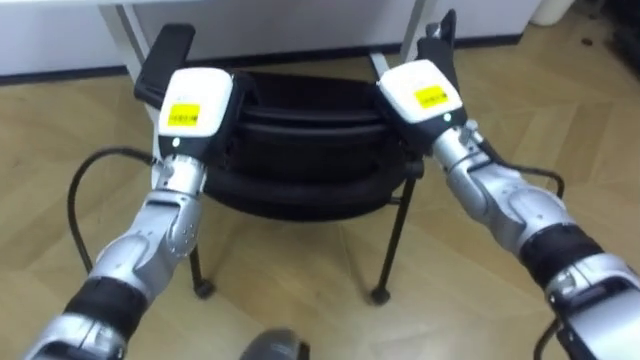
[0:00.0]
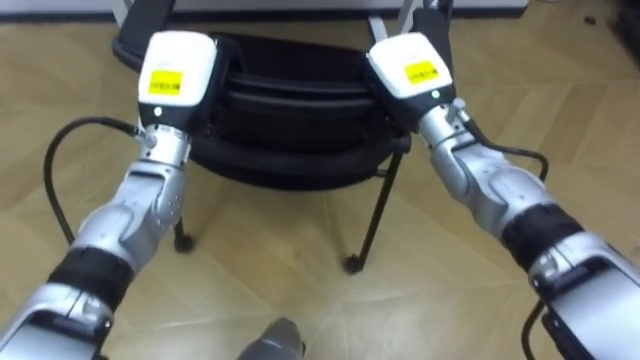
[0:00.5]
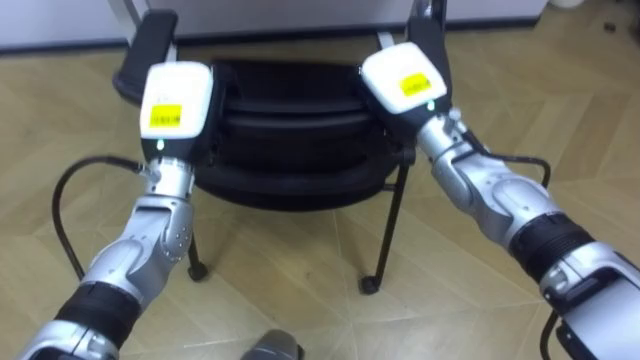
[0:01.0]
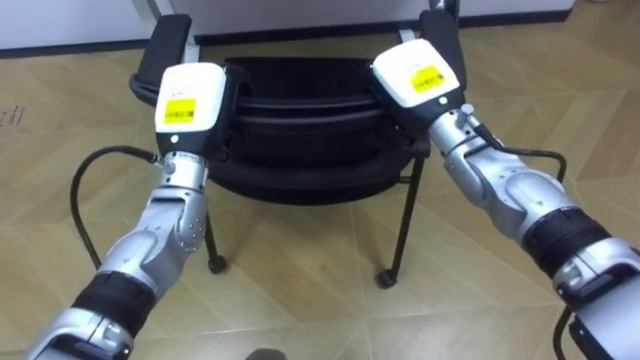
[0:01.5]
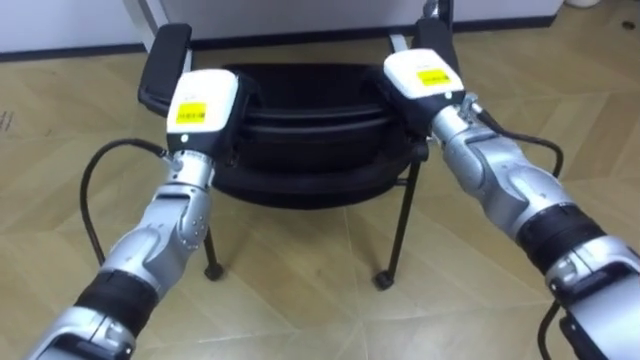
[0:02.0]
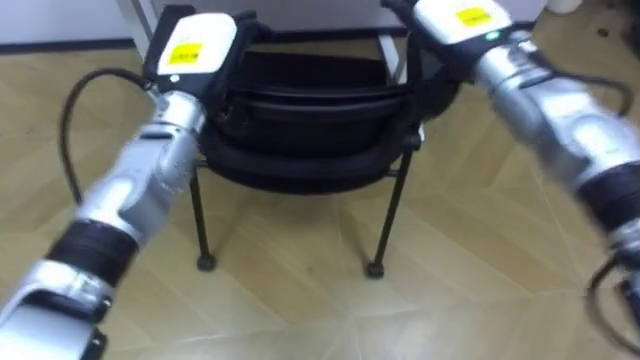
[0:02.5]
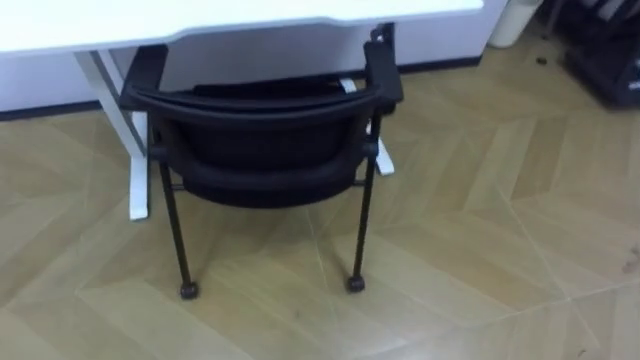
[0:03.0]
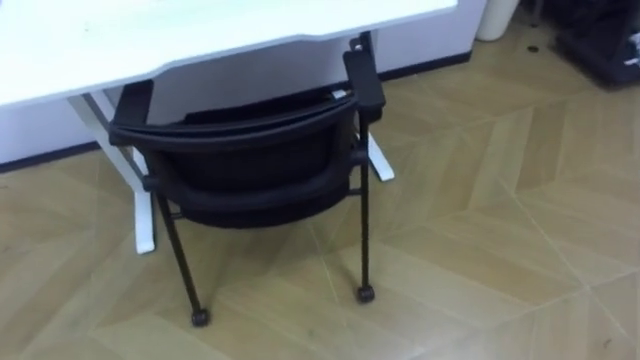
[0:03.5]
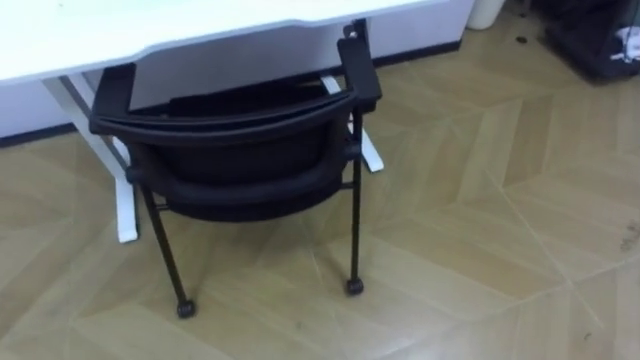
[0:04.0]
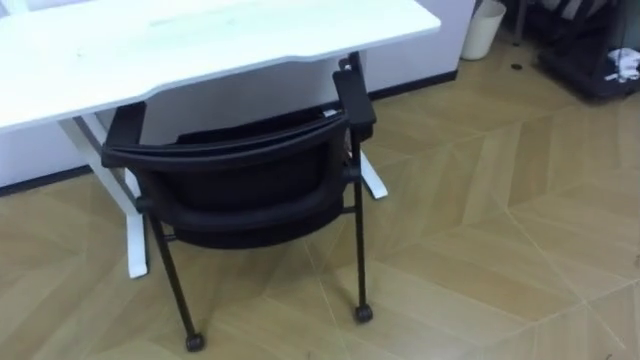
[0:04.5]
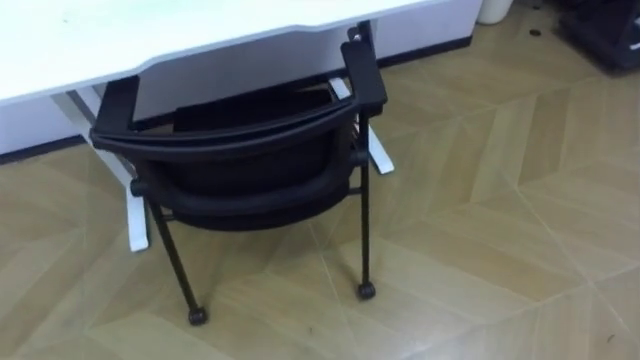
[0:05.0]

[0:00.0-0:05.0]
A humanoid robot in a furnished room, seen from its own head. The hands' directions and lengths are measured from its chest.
Task of the whole recording: Push the chair under the table.
0:00.0 to 0:02.5: The right hand moves upward, about 10 cm, and opens. Meanwhile the left hand is displaced upward by some 5 cm, and opens its fingers.

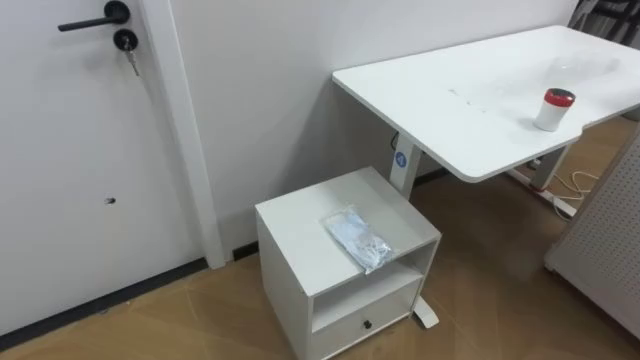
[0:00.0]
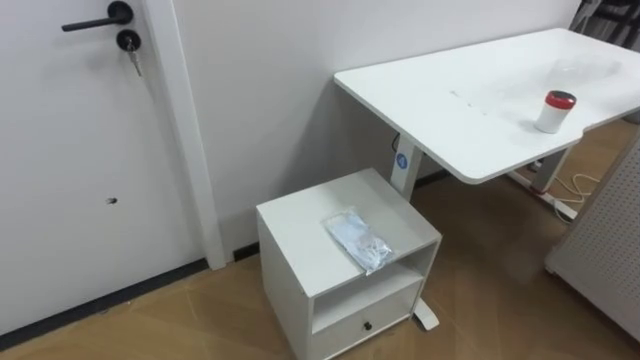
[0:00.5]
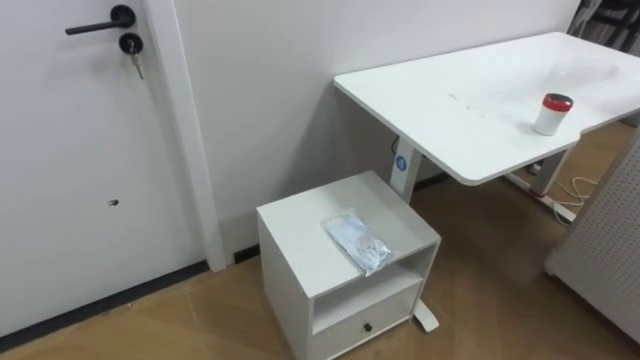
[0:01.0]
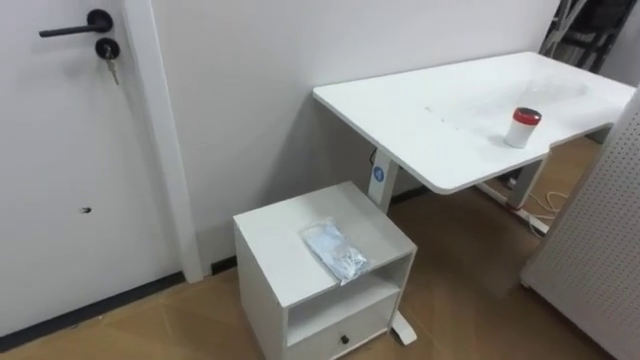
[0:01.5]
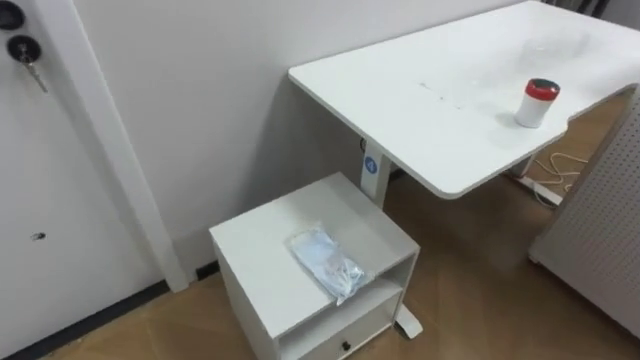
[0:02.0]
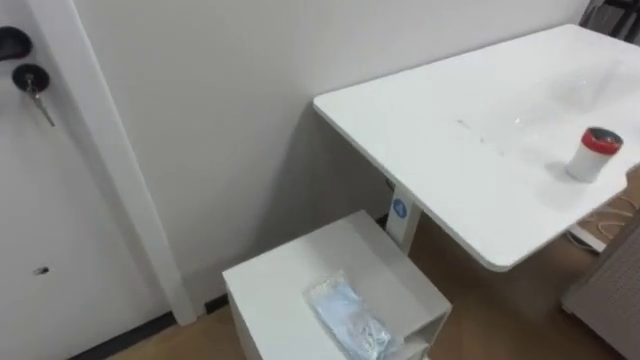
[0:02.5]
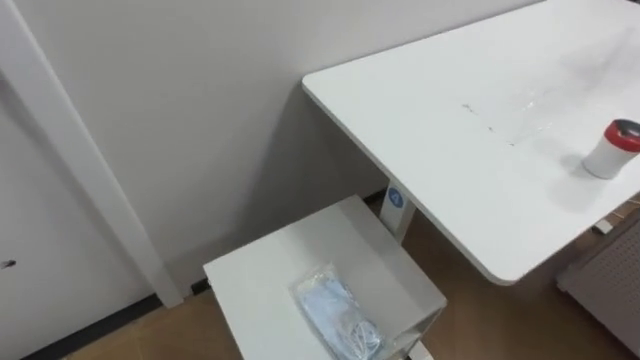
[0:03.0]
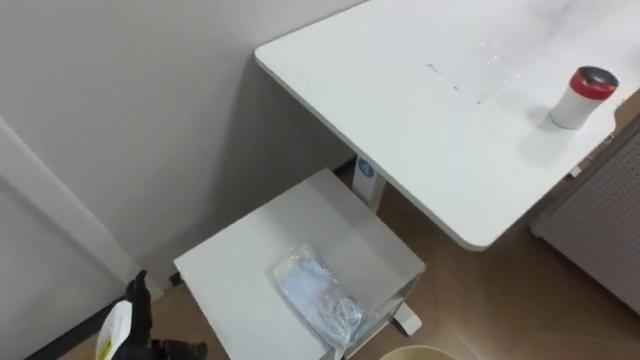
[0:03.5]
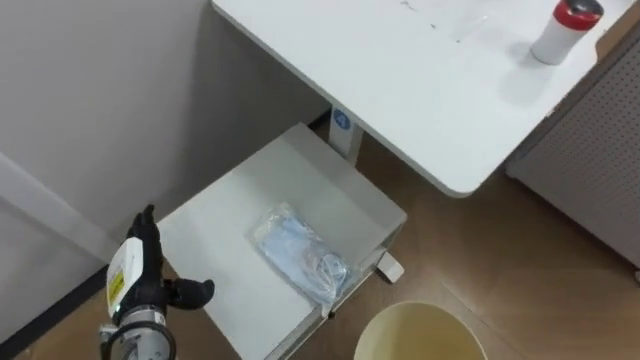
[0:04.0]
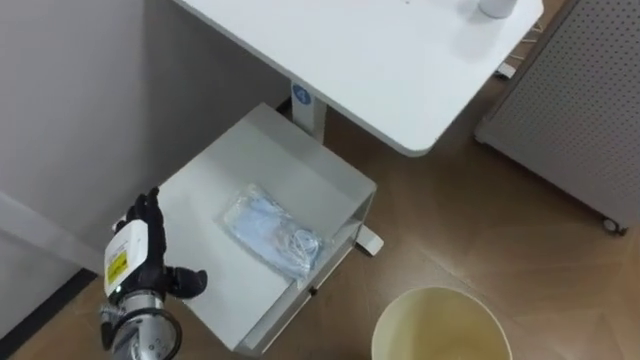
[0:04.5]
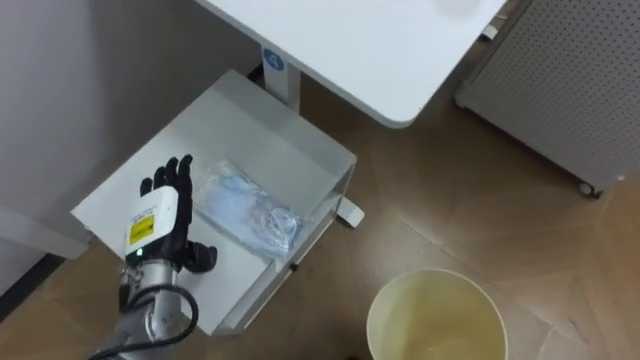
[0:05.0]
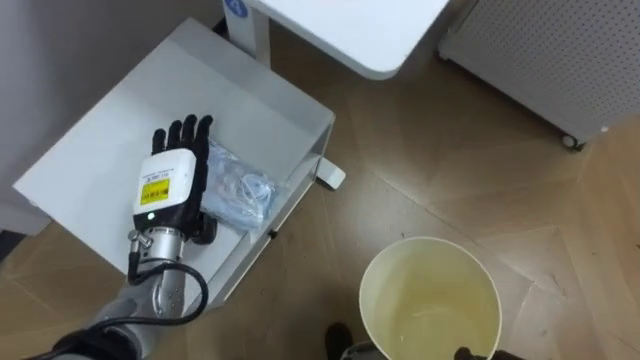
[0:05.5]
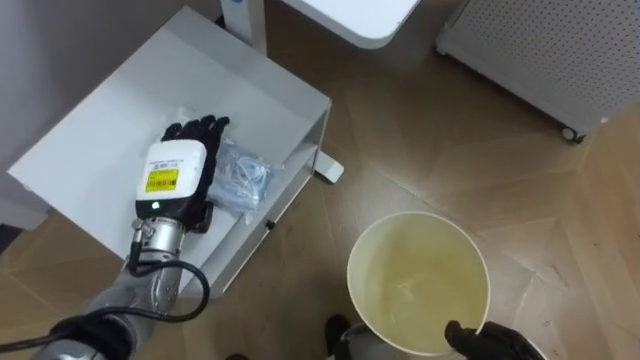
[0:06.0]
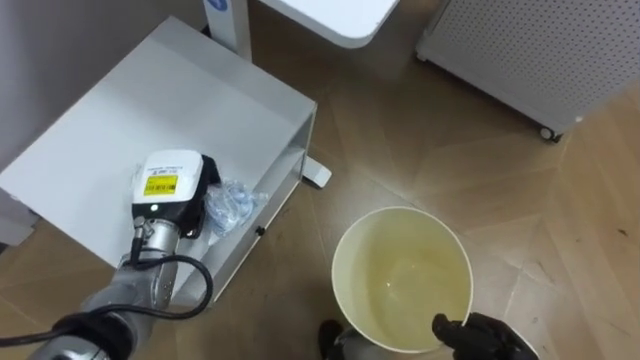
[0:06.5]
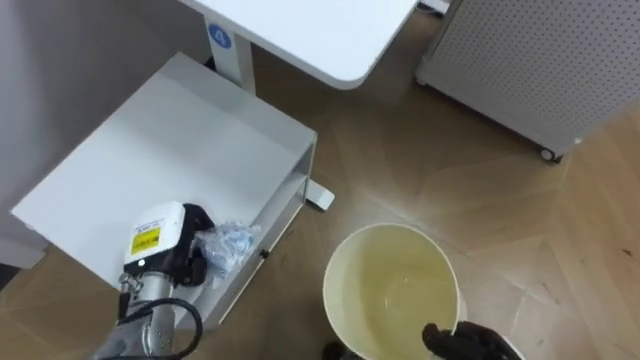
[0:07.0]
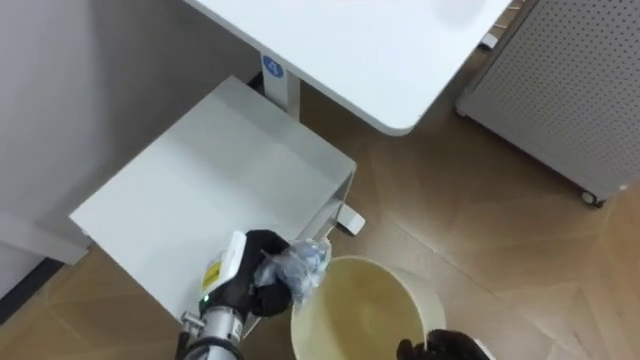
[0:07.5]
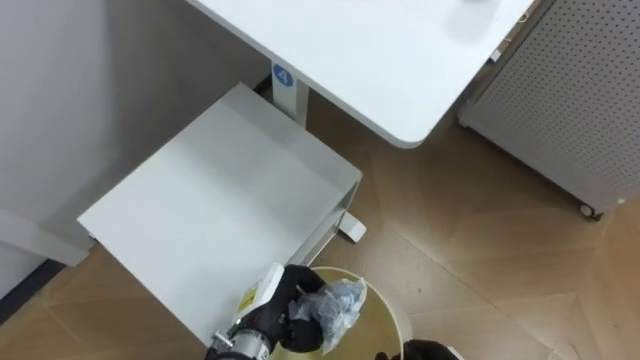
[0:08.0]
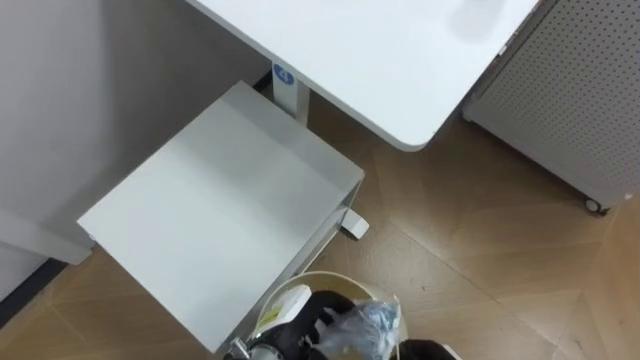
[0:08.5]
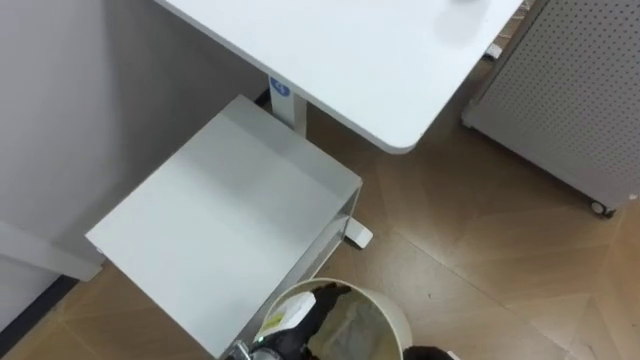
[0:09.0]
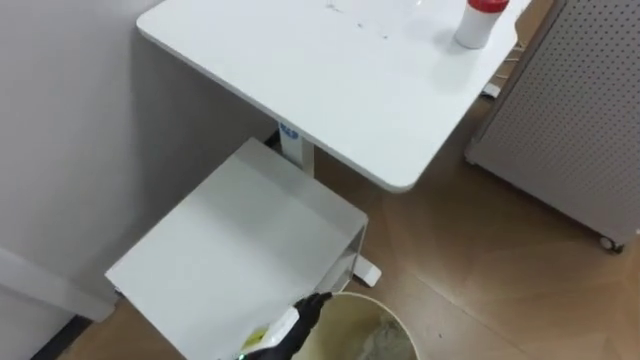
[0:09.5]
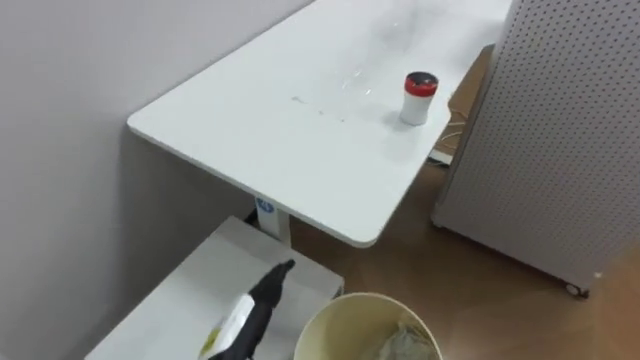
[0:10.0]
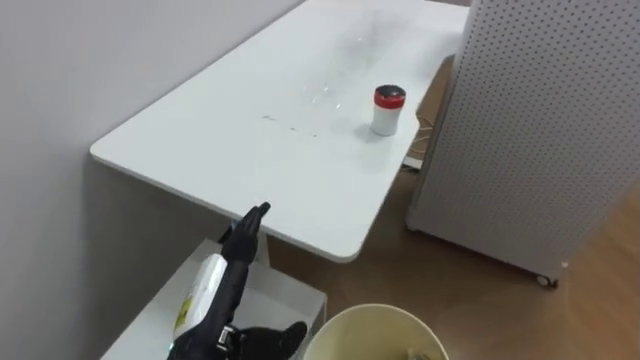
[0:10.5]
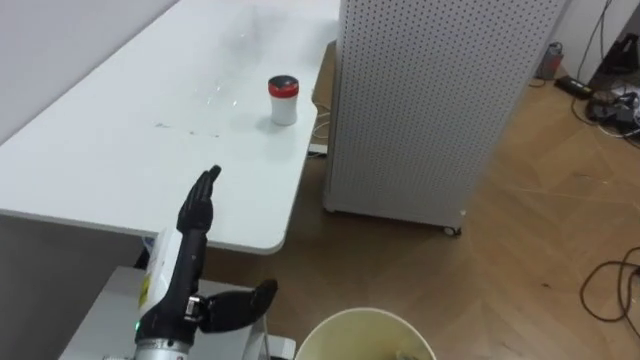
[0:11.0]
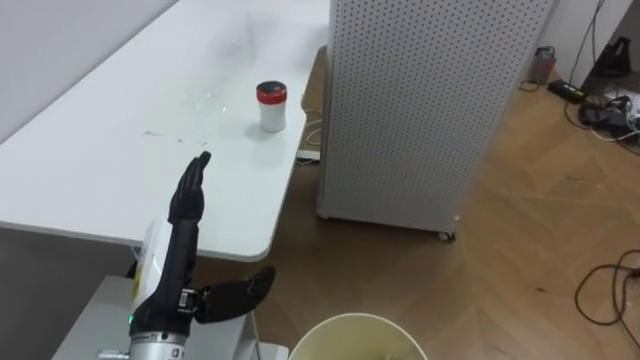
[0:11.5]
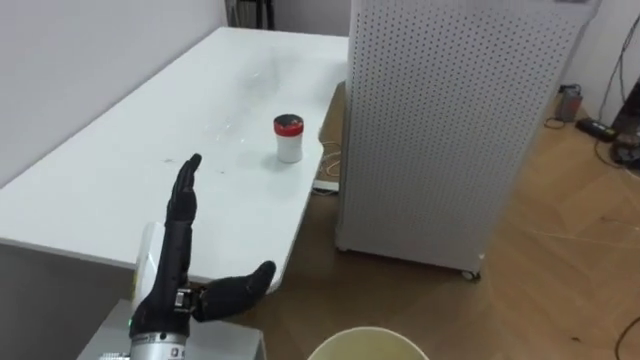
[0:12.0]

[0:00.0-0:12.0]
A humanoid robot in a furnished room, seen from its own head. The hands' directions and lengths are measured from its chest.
Task of the whole recording: Pick up the light blue package, the candy box, and the dark blue package separately, and put them into the trash can held in your right hand.
0:04.0 to 0:06.0: The left hand travels upward, forward and to the right by roughly 15 cm.
0:06.0 to 0:08.0: The left hand is displaced downward, to the right and backward by some 20 cm, and closes up.
0:08.0 to 0:10.0: The left hand moves backward, roughly 5 cm, and opens.
0:10.0 to 0:12.0: The robot's body swings approximately 25 degrees to its right. The left hand is displaced upward and to the left by some 10 cm.

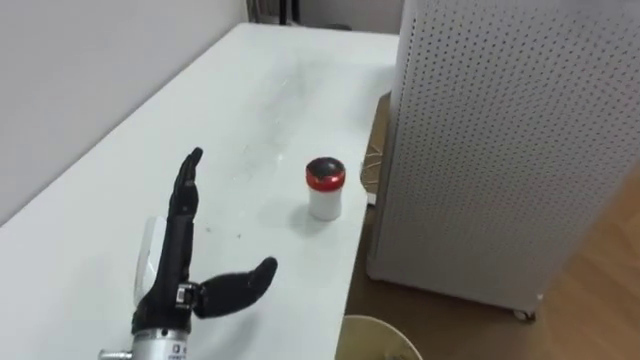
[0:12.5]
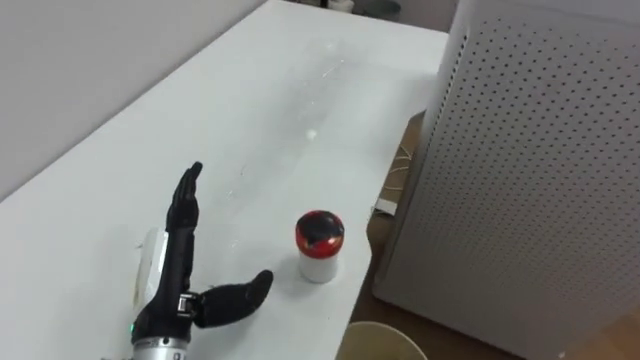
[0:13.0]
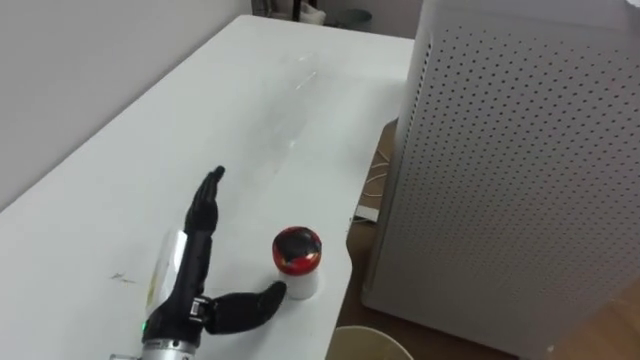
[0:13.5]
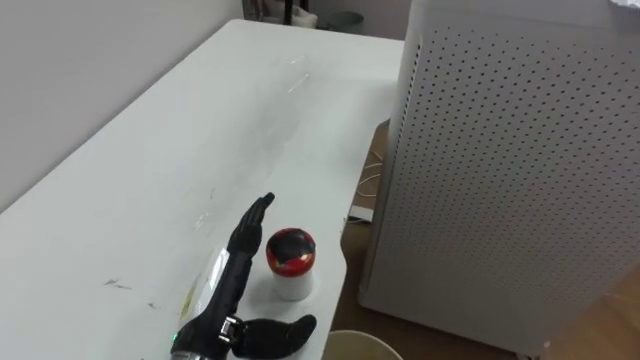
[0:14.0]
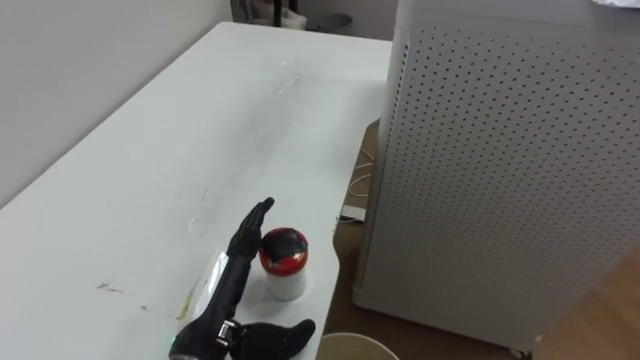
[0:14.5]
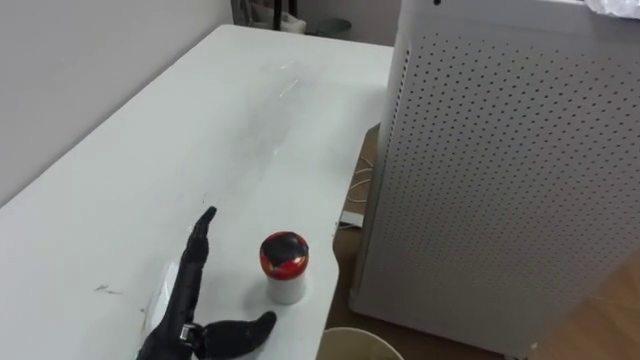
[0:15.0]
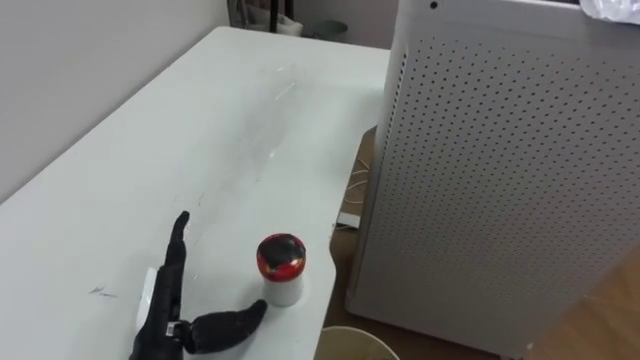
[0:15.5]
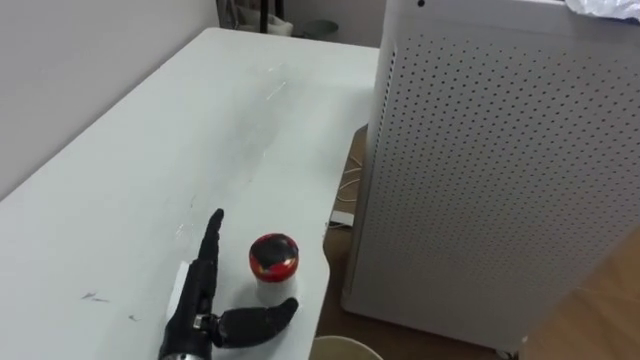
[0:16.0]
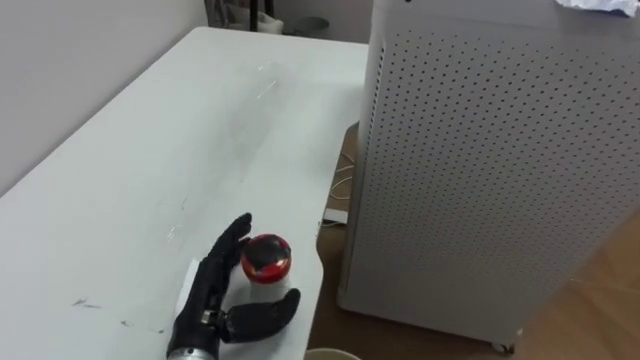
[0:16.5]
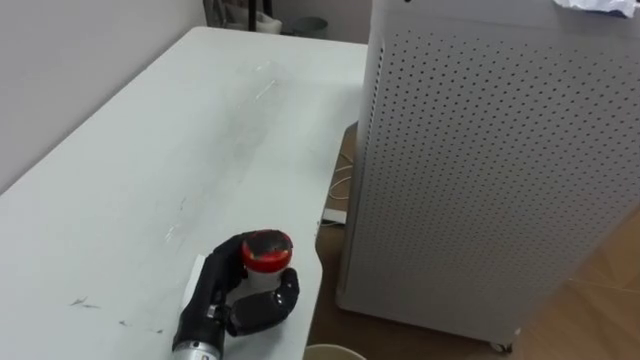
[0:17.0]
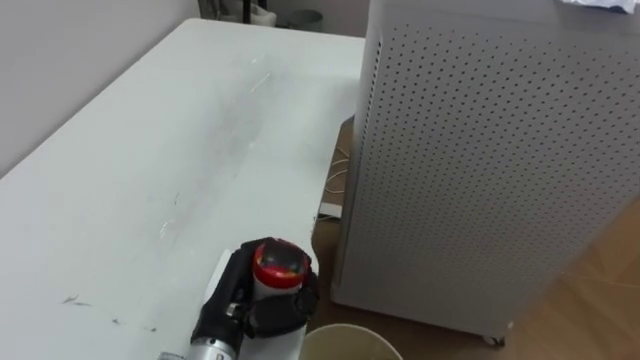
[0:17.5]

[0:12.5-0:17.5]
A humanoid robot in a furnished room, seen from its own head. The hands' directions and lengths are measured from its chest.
Task of the whole recording: Pick up the light blue package, the candy box, and the dark blue package separately, and put them into the trash can held in your right hand.
0:12.5 to 0:15.0: The left hand travels downward by about 5 cm.
0:15.0 to 0:17.5: The left hand goes approximately 5 cm to the right, and closes up.
